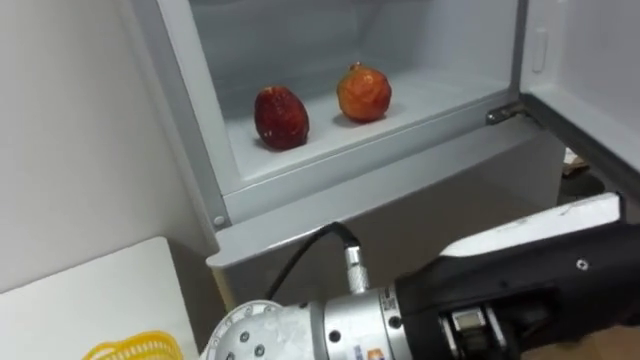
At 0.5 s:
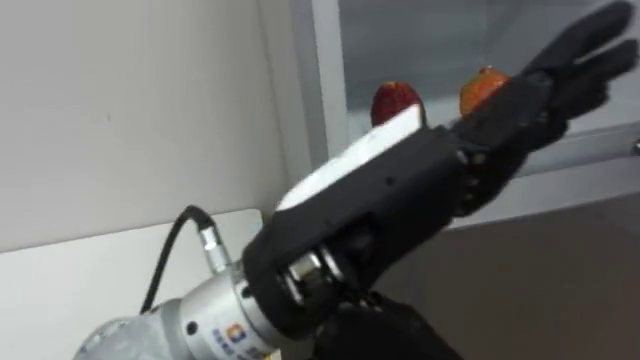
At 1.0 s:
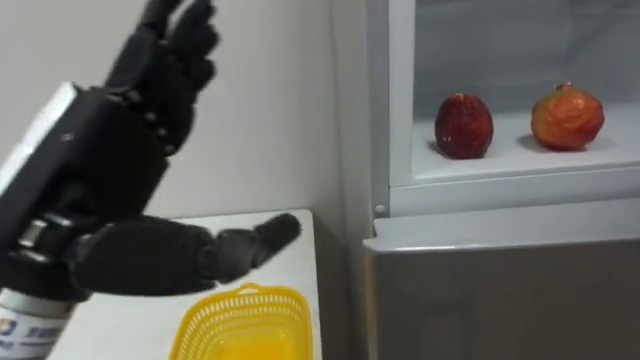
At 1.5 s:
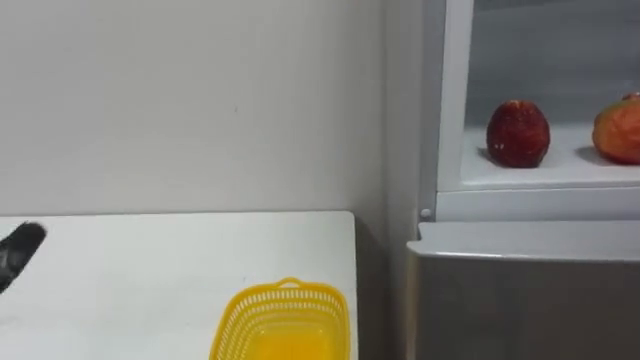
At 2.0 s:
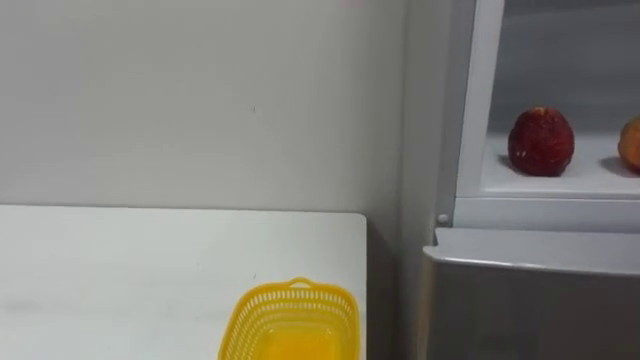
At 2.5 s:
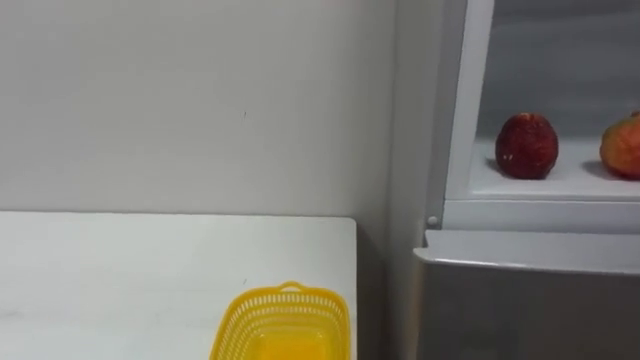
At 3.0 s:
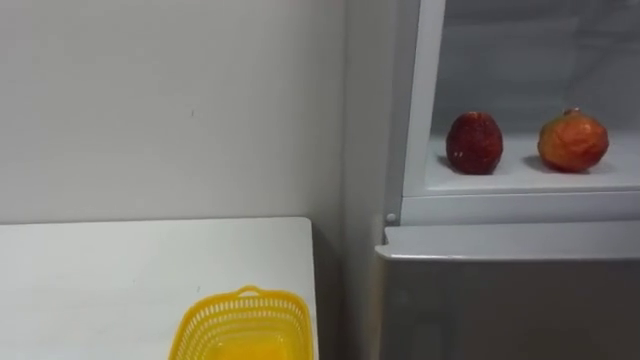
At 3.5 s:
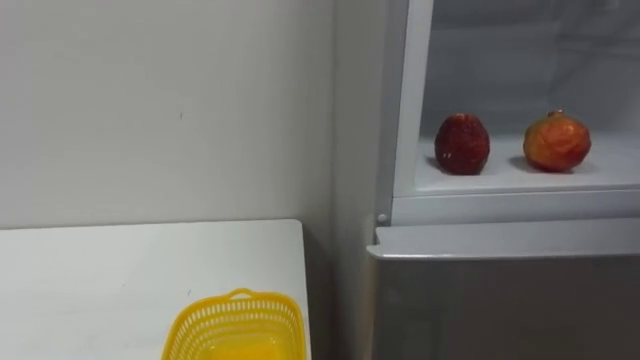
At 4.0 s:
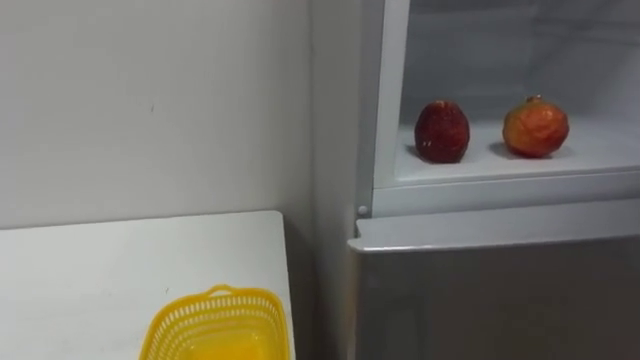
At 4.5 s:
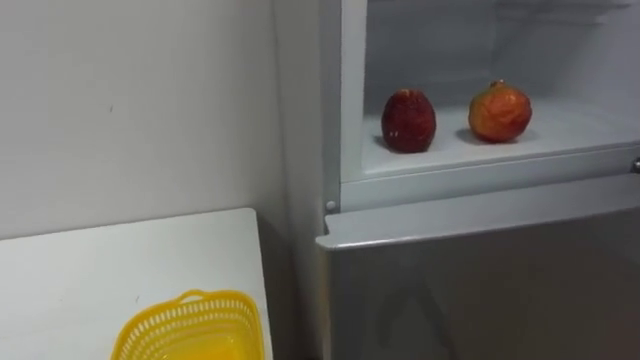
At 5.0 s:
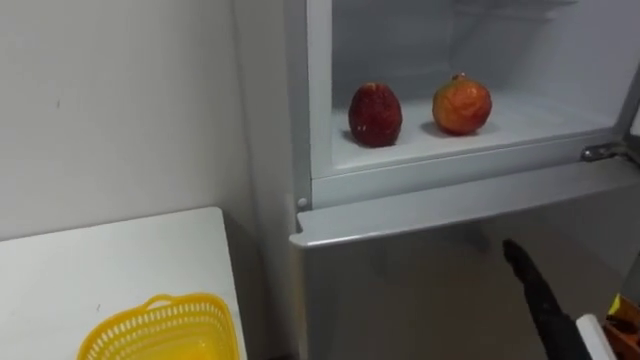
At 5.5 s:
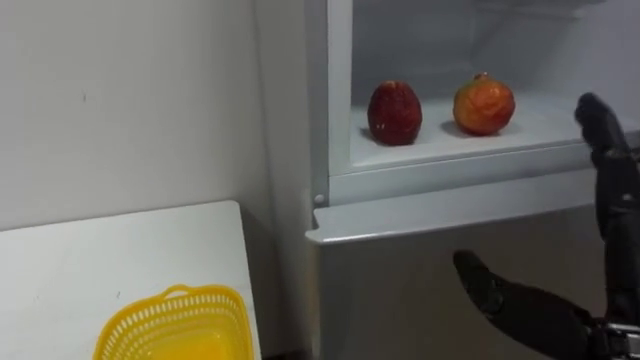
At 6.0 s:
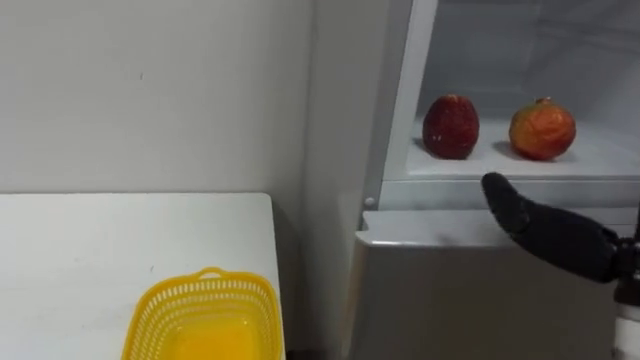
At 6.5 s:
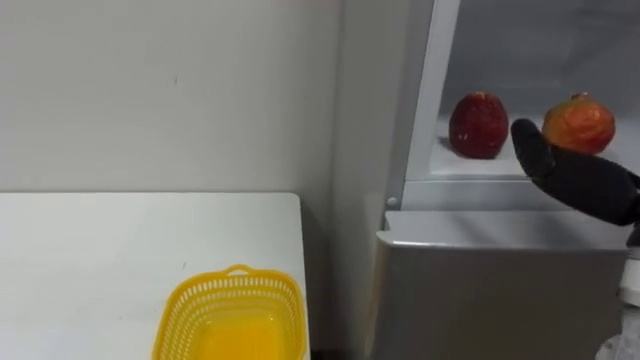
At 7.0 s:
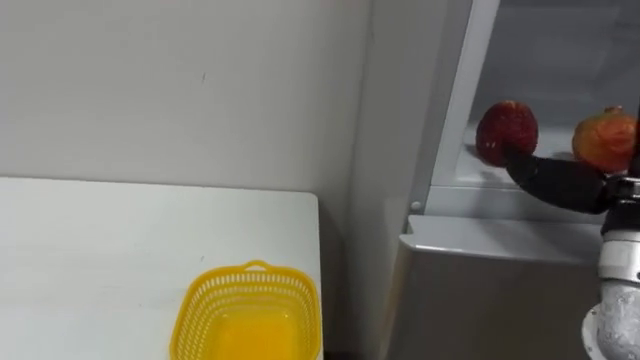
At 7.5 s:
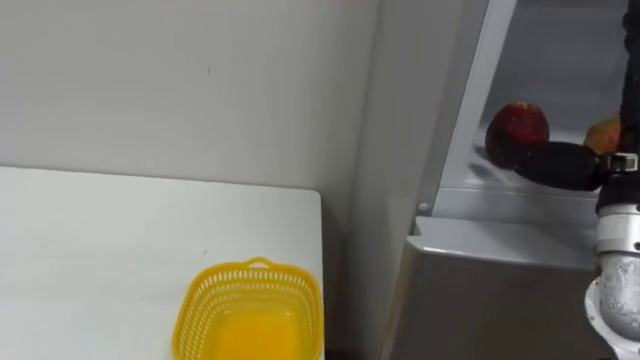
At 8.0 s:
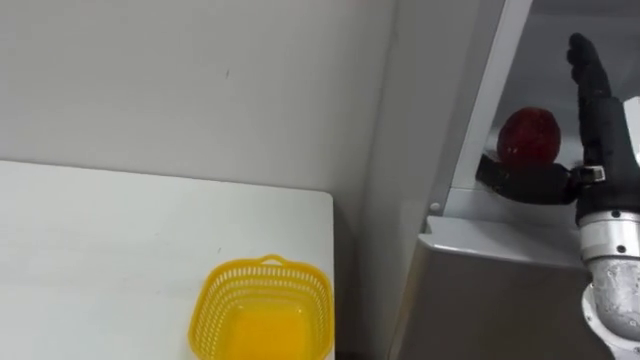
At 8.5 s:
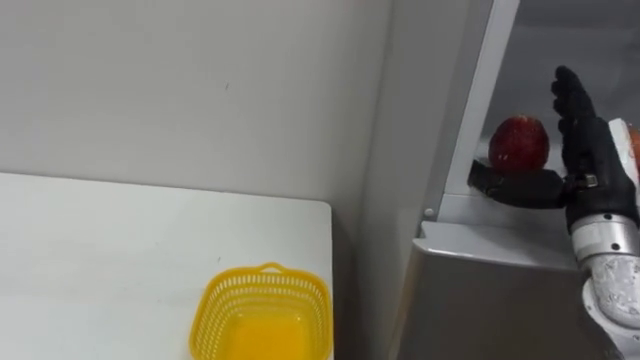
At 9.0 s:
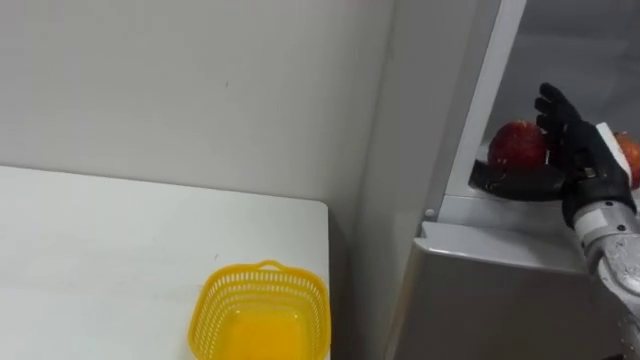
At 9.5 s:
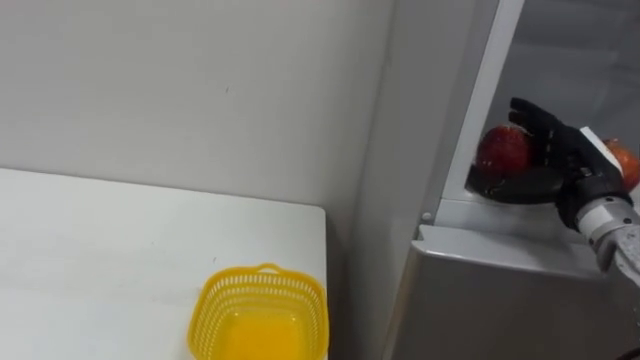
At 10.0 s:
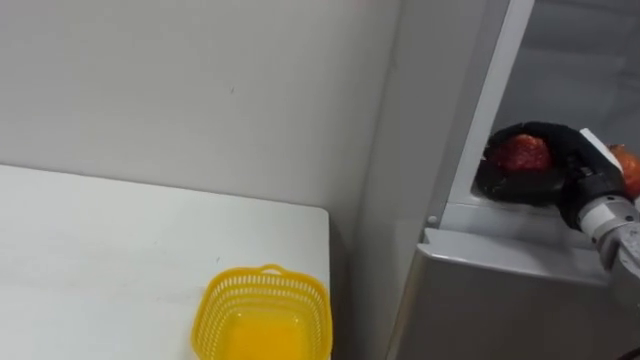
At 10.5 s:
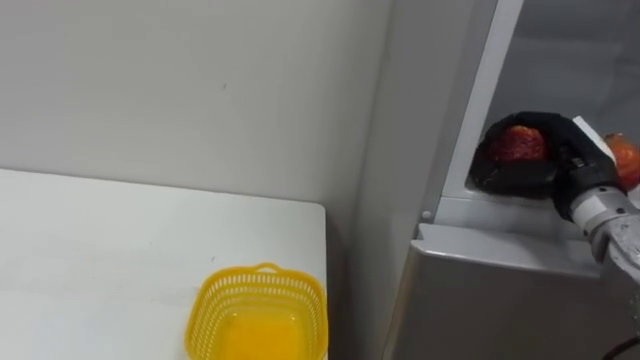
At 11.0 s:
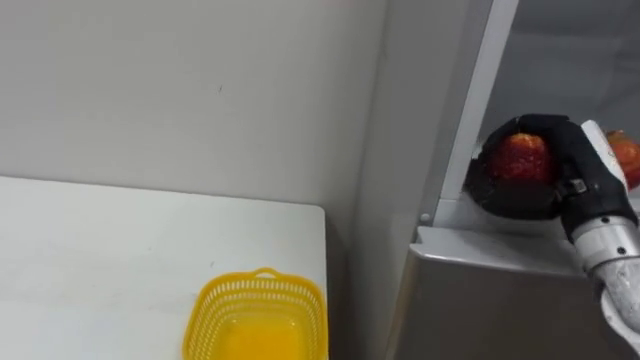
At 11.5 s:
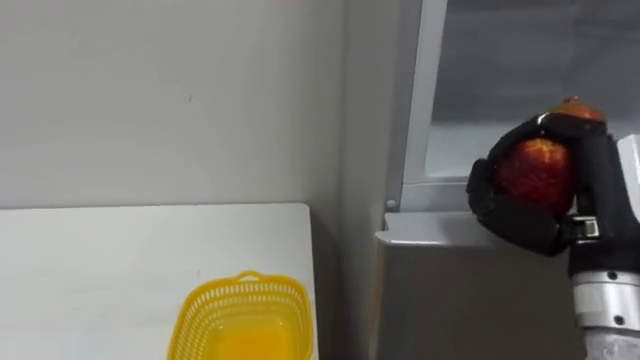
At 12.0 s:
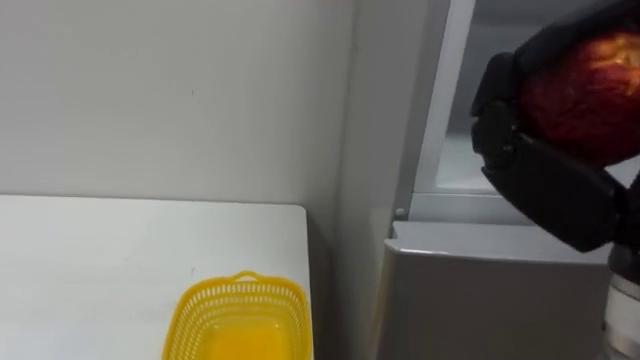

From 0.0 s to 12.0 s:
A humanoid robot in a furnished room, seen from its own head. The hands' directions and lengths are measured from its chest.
Task of the whole recording: Open the refrigerator door, take out the apple and the pomegranate, place them in the fruit basket on the left, and close the refrigerator door.
From 8.0 s to 10.0 s: The right hand goes approximately 10 cm forward and downward, and closes up.

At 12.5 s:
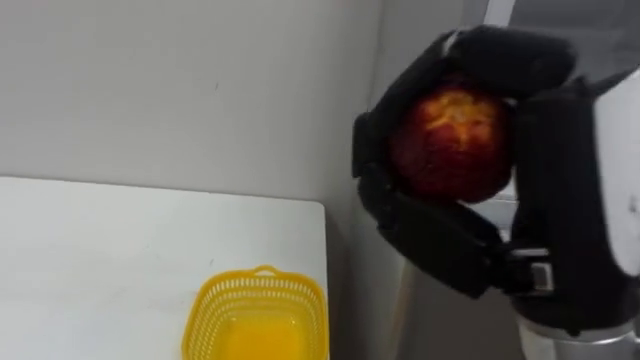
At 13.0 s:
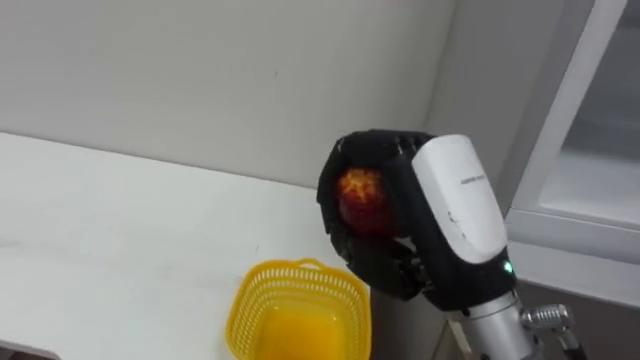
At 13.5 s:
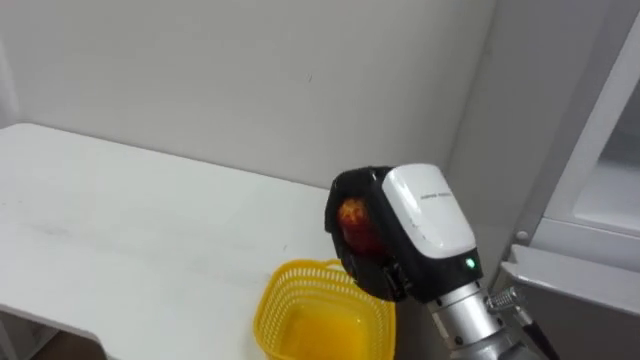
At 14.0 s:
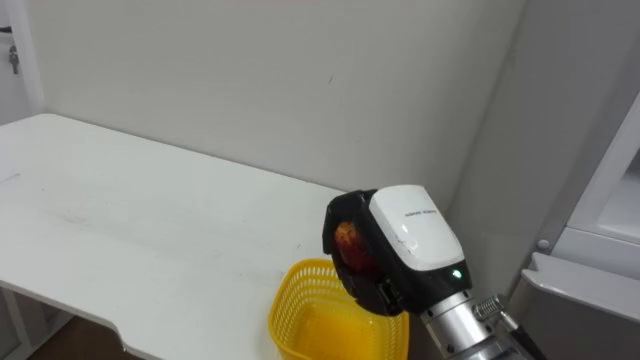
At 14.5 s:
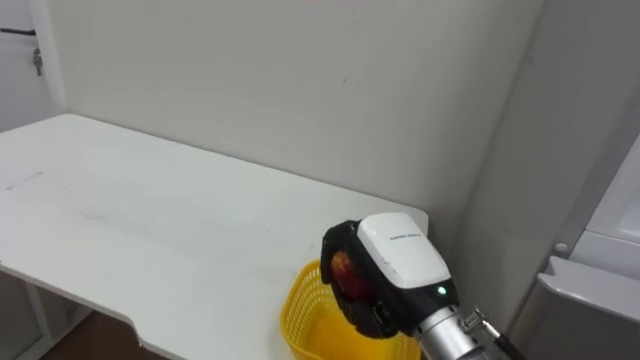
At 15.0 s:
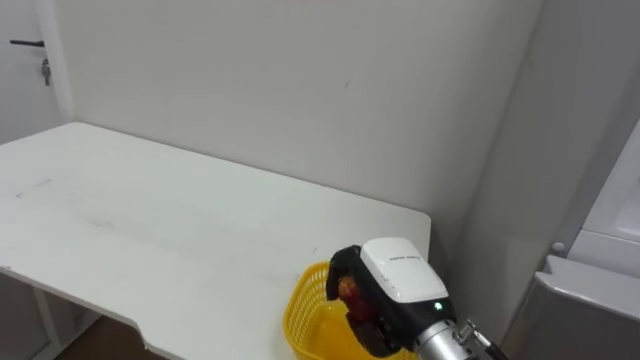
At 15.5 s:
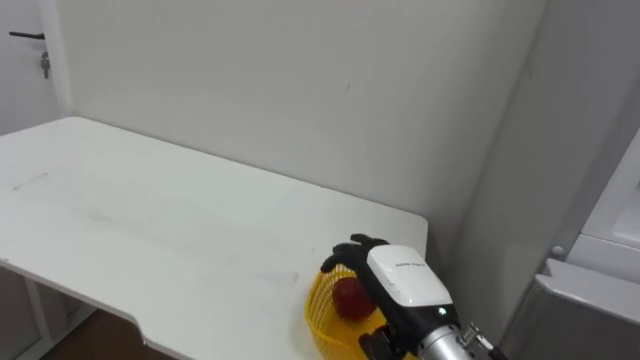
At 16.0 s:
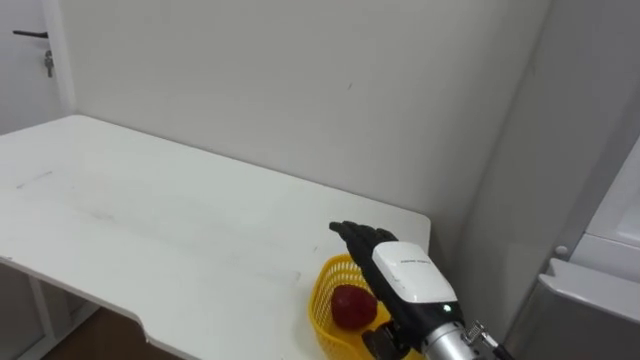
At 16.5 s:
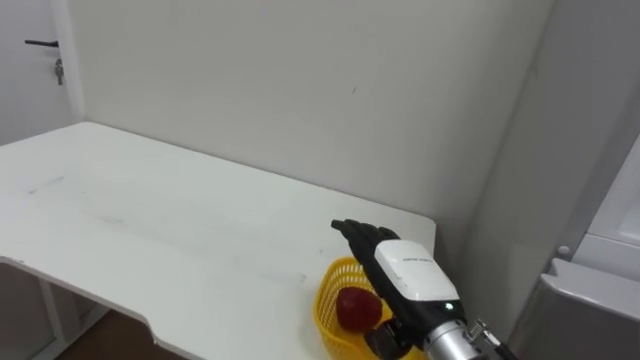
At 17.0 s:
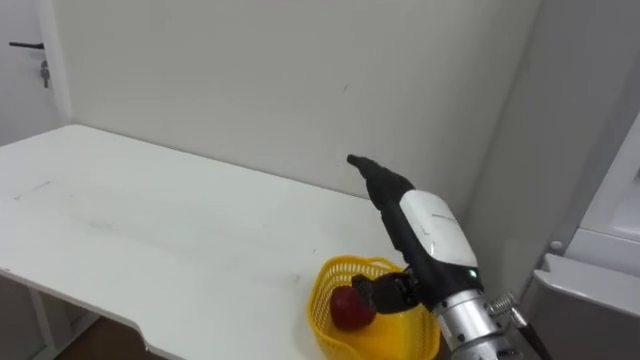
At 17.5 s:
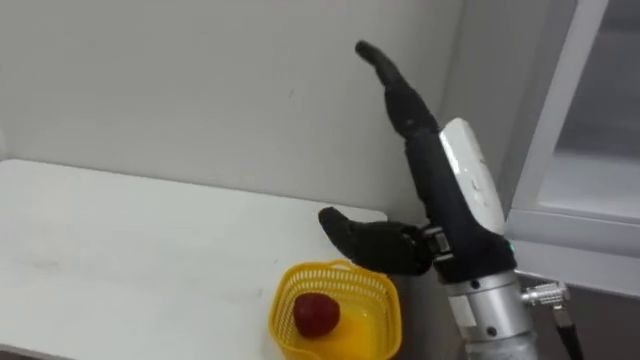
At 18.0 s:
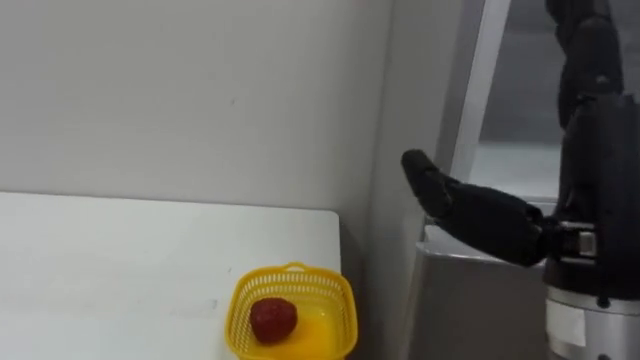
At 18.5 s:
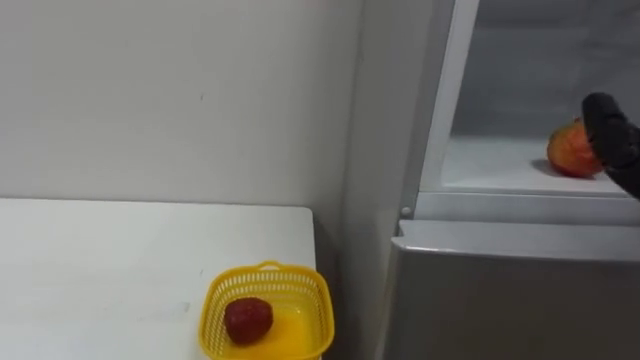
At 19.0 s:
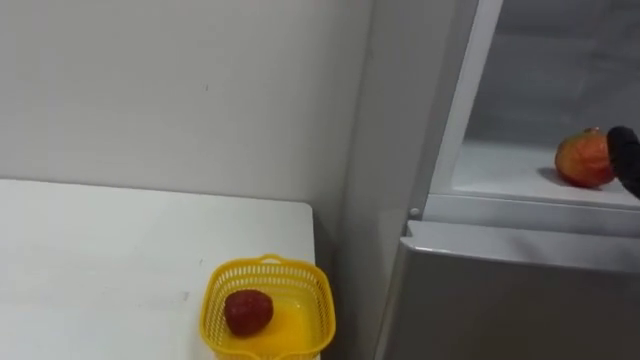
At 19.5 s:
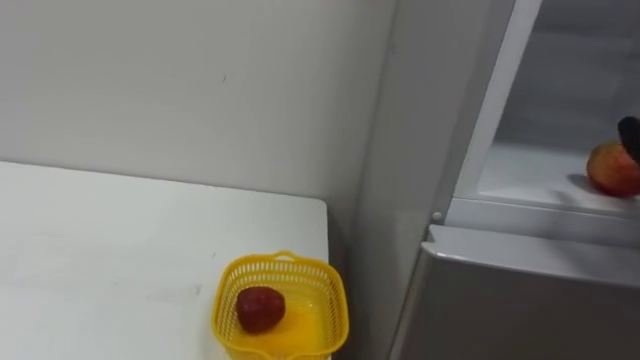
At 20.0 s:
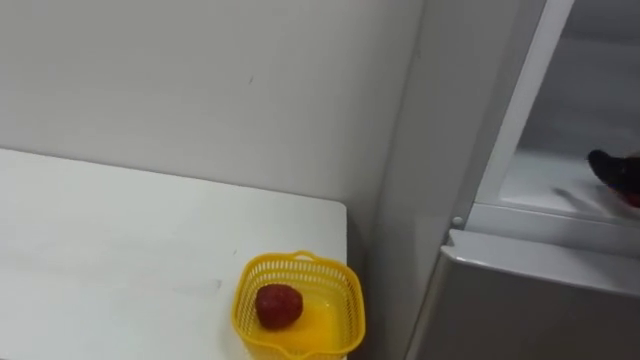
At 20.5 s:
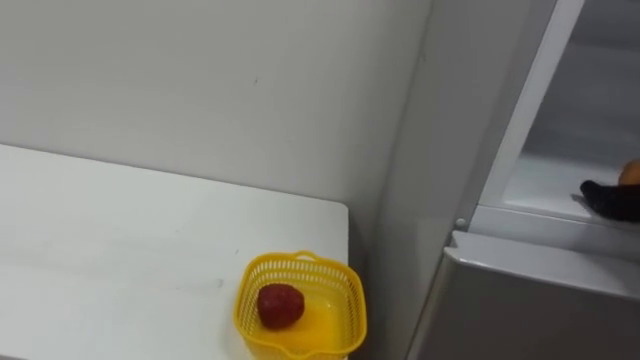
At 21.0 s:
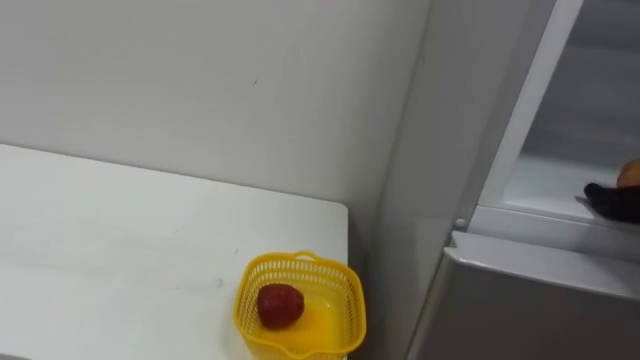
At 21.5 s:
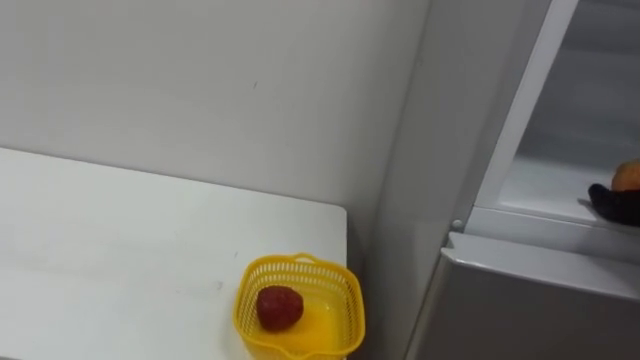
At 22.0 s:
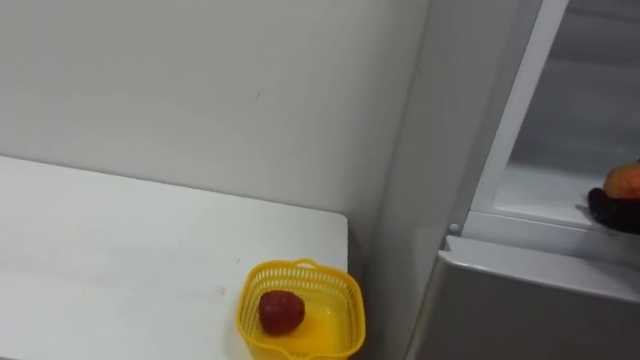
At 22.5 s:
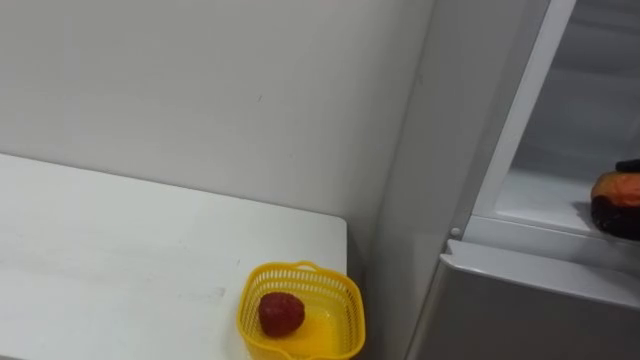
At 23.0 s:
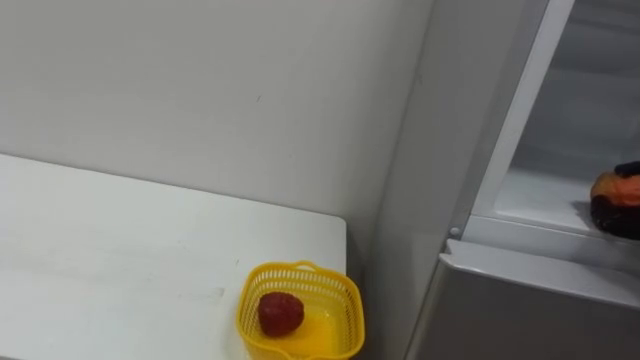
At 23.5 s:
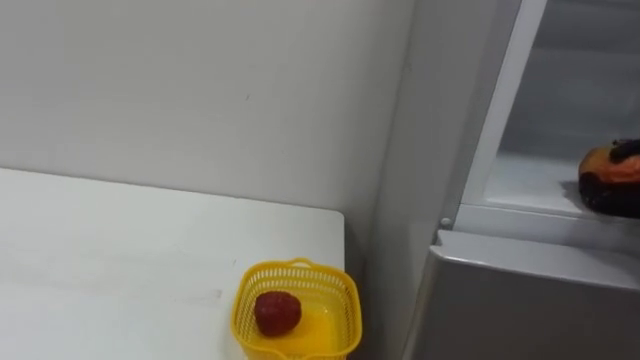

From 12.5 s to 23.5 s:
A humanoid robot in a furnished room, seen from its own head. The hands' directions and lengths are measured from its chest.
Task of the whole recording: Open the refrigerator door, take out the apple and the pomegranate, place them in the fruit basket on the left, and close the refrigerator door.
From 12.5 s to 14.5 s: The right hand travels downward and forward by roughly 20 cm.
From 14.5 s to 16.0 s: The right hand shifts some 5 cm downward, and opens its fingers.
From 16.0 s to 18.0 s: The right hand moves upward, backward and to the right, approximately 25 cm.
